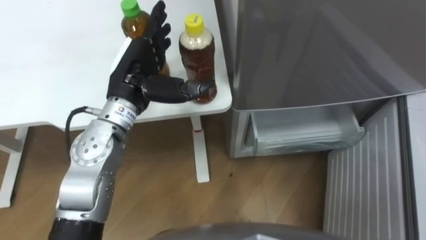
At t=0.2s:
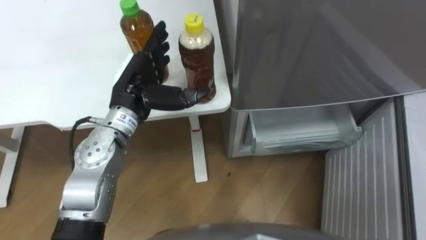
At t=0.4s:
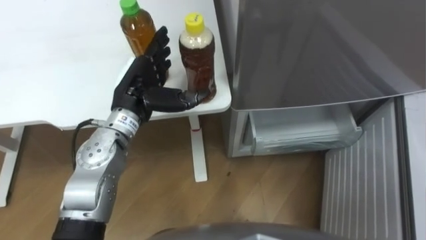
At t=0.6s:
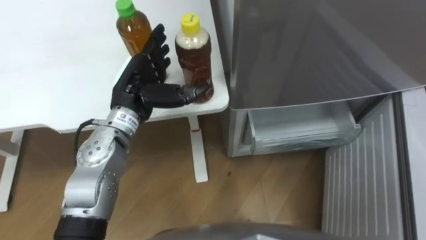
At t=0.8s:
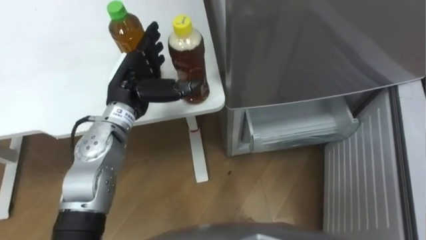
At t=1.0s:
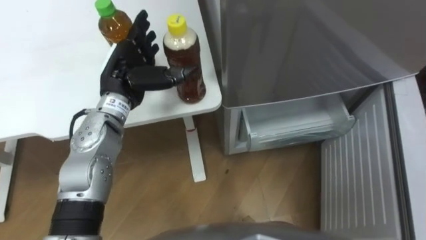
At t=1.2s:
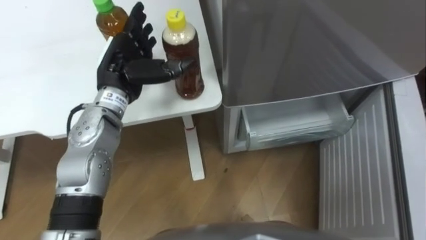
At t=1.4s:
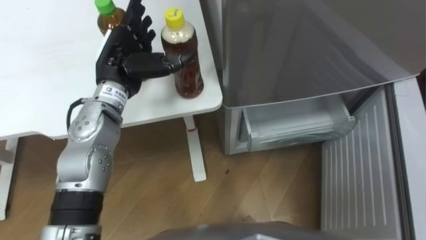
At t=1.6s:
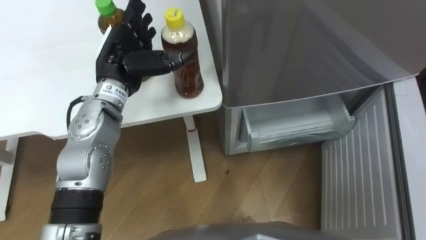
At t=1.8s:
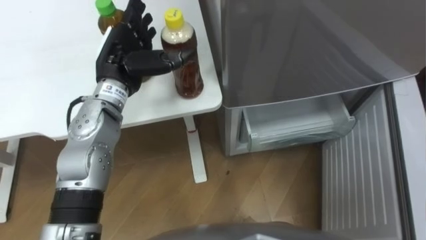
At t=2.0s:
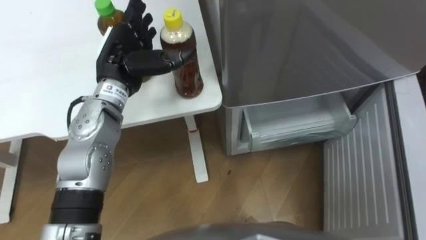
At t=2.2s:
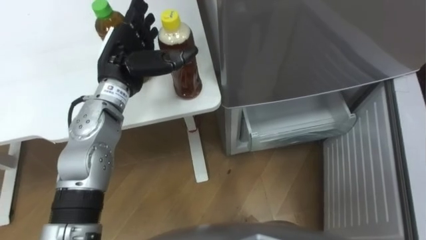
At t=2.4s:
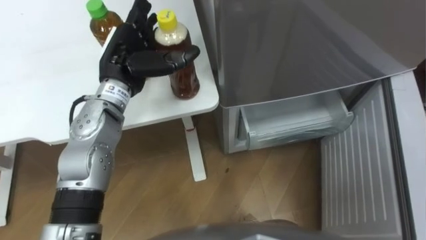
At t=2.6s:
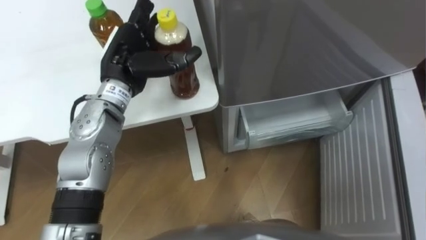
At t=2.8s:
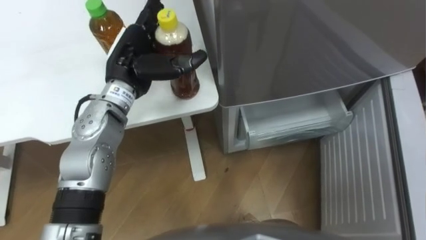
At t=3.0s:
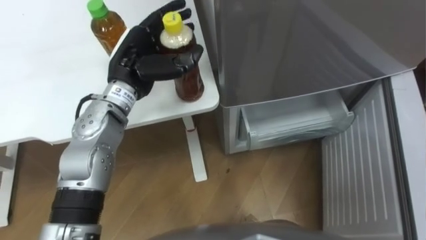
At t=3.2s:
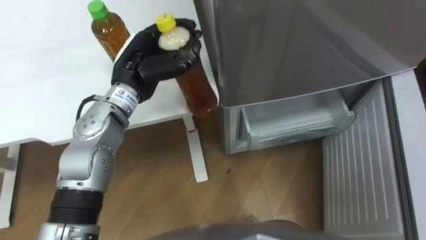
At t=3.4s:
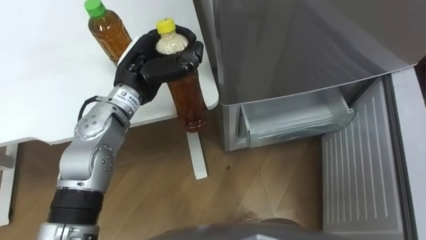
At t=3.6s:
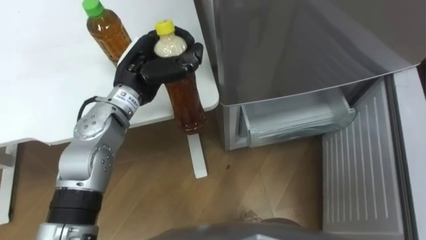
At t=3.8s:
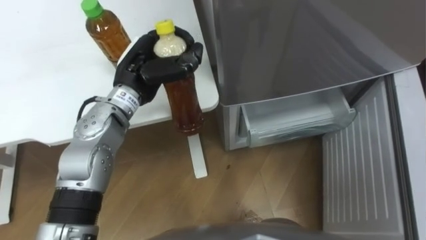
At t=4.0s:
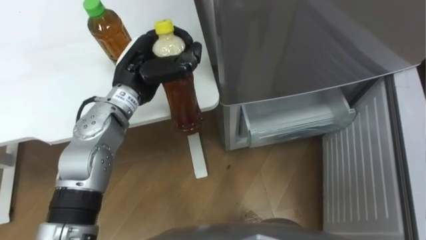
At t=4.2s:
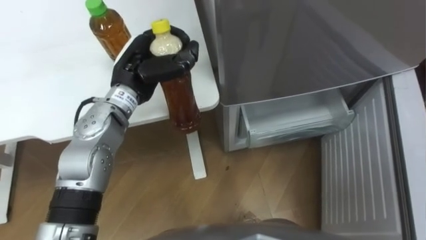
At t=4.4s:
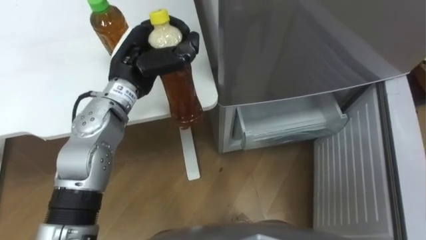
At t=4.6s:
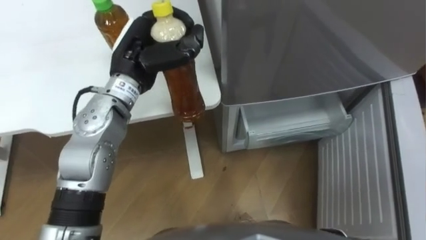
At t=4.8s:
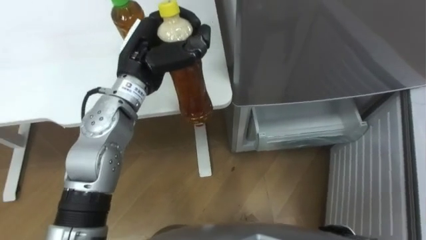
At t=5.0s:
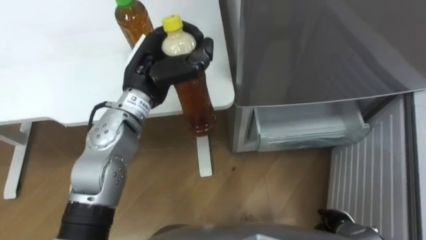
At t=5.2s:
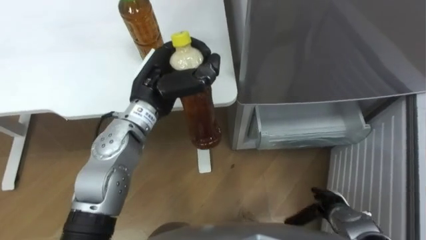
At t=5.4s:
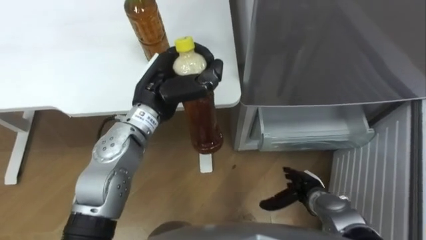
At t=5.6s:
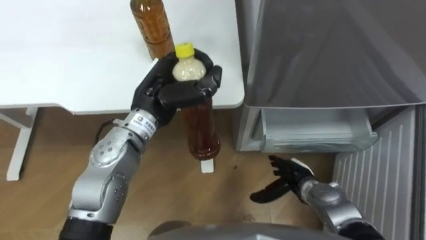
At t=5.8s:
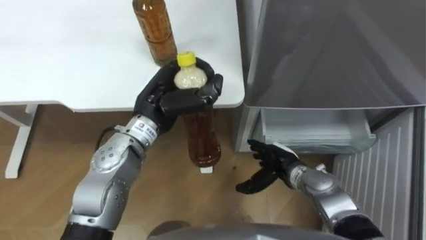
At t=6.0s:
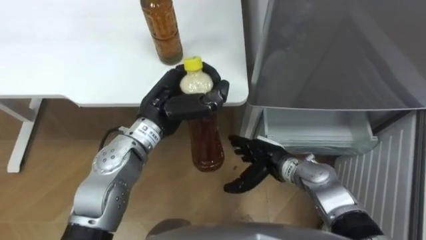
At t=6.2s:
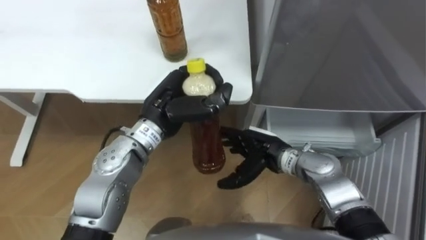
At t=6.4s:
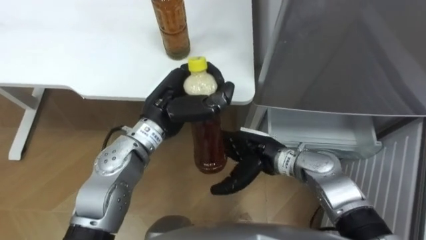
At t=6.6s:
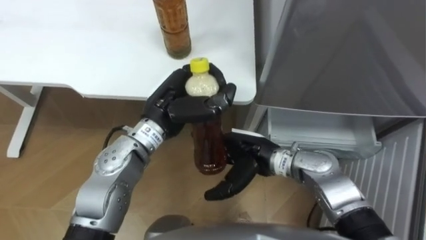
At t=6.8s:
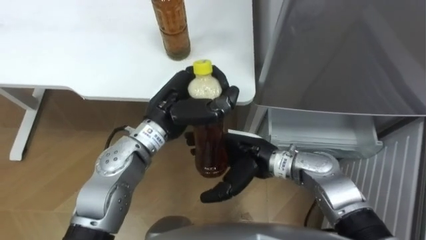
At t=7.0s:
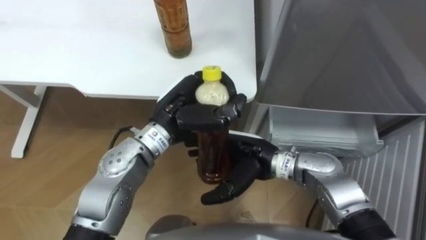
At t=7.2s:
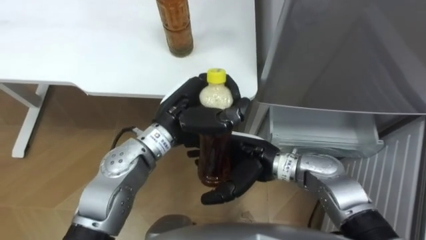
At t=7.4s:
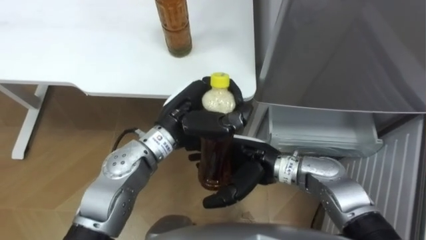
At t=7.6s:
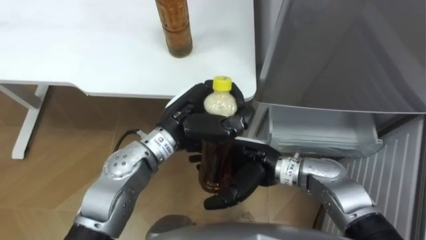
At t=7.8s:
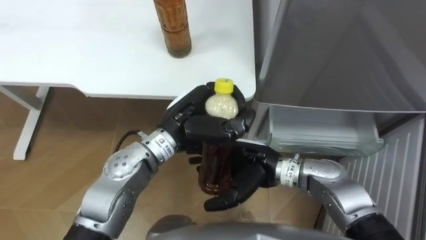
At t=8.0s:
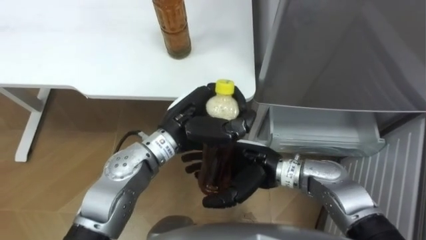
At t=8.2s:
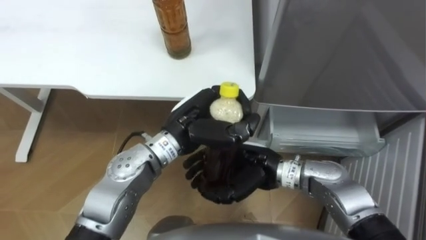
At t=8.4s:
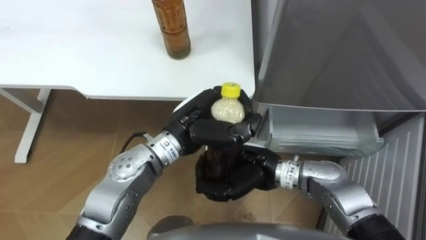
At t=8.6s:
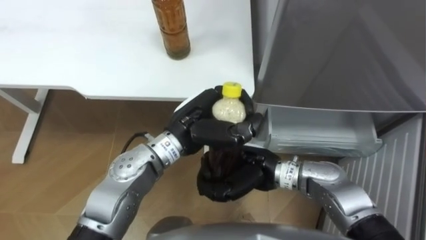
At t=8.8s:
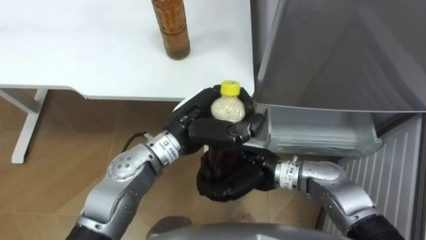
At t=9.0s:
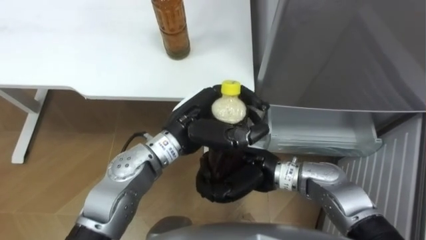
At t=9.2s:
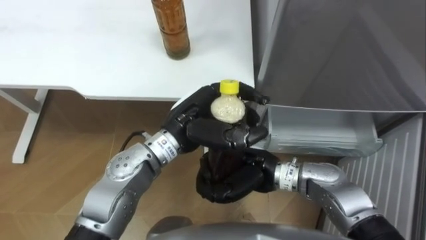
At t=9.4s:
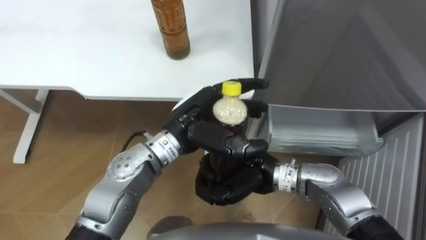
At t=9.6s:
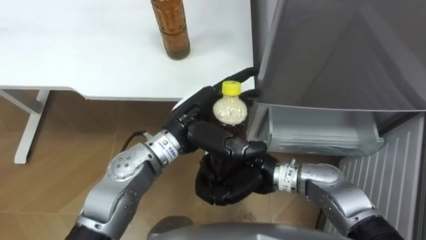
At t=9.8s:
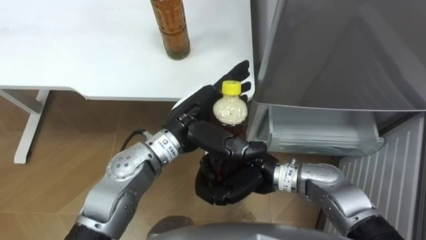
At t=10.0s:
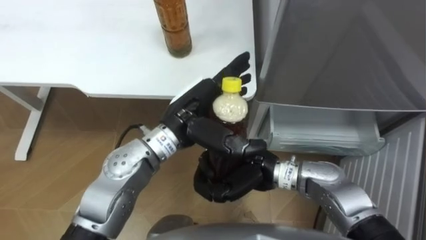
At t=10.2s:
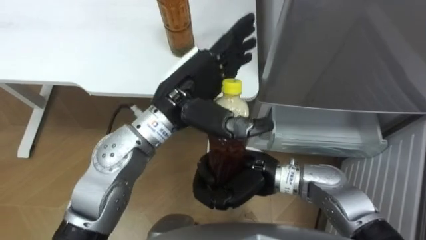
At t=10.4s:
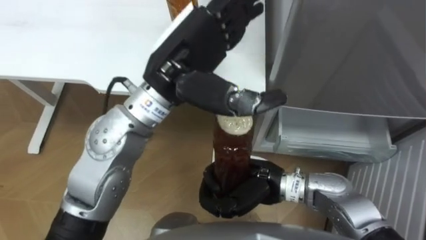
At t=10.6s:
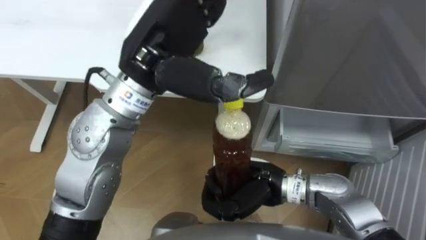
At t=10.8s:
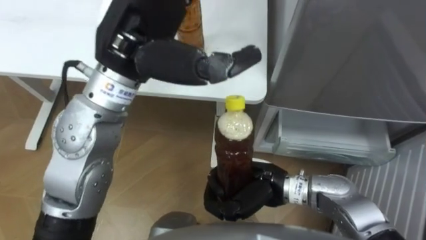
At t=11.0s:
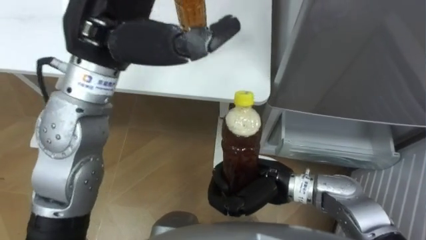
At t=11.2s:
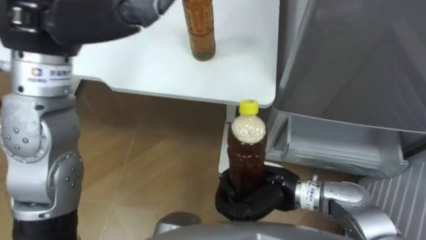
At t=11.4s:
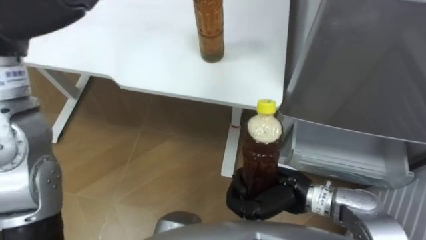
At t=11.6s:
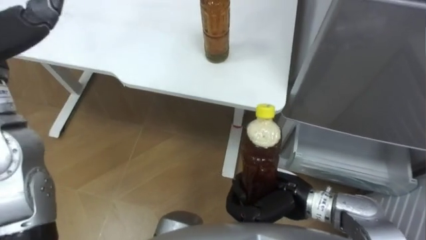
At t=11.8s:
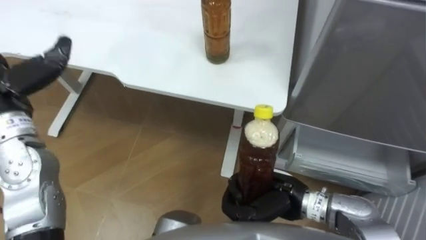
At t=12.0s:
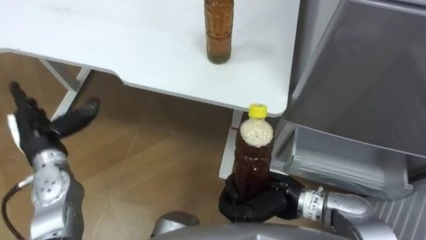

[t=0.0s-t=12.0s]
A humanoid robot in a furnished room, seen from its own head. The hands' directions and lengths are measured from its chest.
Task of the whole recording: Place the drink on the table on the bottom shelf of the refrigerator, then close the drawer and the refrigerator door.
t=3.0s to t=4.4s: The left hand closes up.
t=4.4s to t=6.0s: The left hand goes about 5 cm backward.
t=6.0s to t=7.6s: The right hand shifts roughly 10 cm upward and to the left.
t=7.6s to t=9.0s: The right hand closes up.
t=9.0s to t=10.4s: The left hand heads upward, covering about 15 cm, and opens.
t=10.4s to t=12.0s: The right hand shifts by some 5 cm.

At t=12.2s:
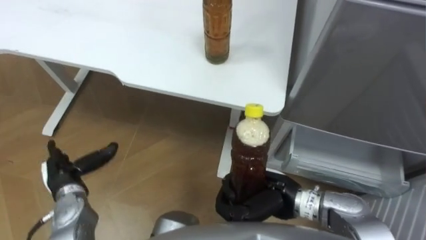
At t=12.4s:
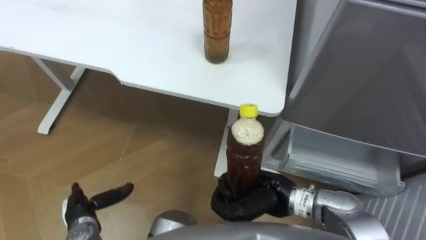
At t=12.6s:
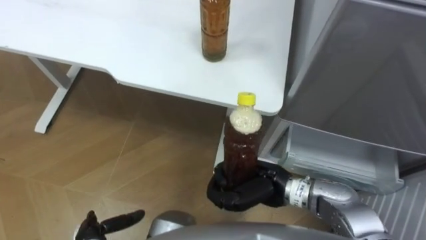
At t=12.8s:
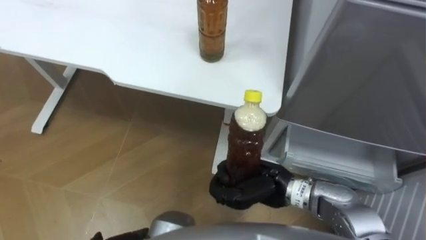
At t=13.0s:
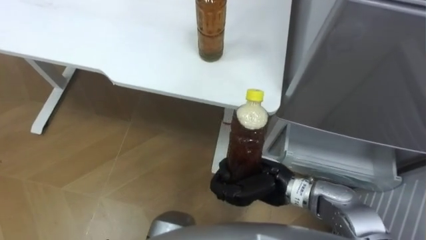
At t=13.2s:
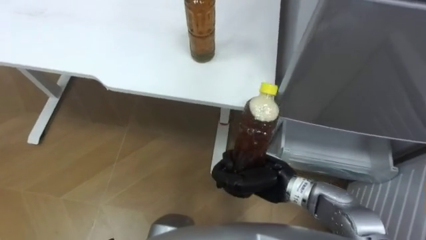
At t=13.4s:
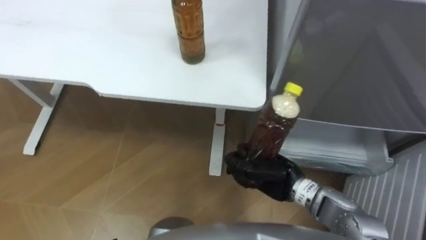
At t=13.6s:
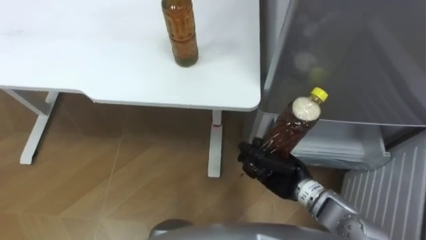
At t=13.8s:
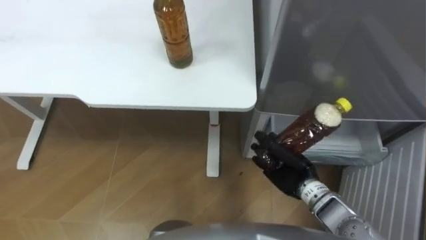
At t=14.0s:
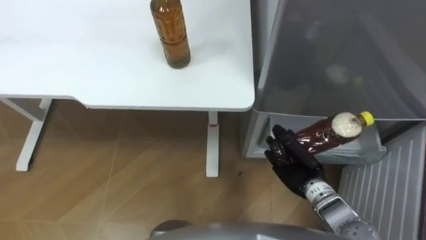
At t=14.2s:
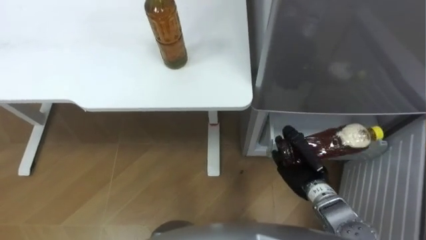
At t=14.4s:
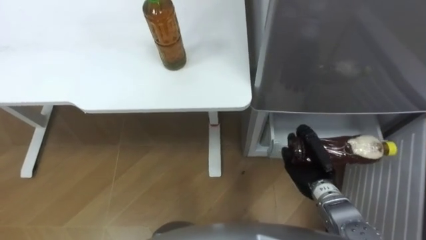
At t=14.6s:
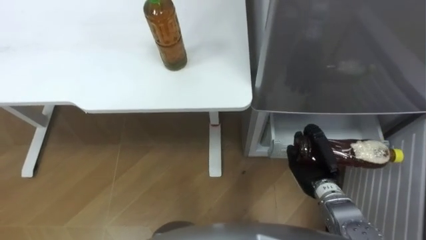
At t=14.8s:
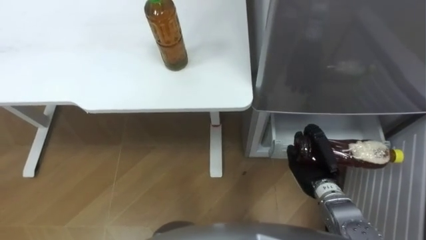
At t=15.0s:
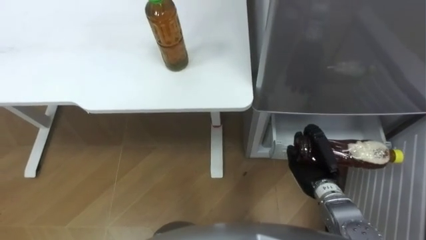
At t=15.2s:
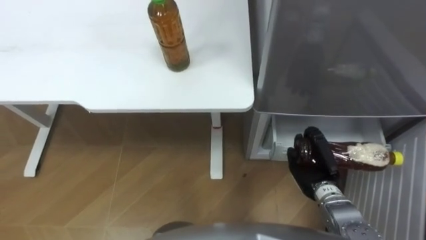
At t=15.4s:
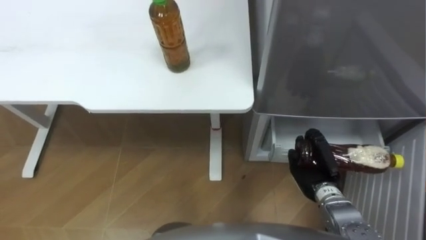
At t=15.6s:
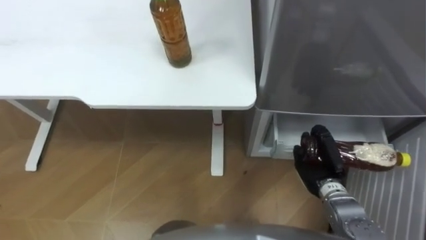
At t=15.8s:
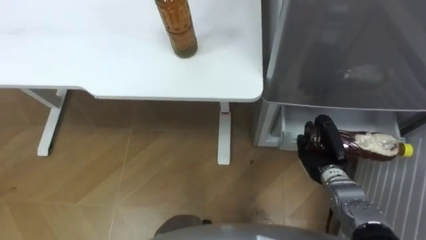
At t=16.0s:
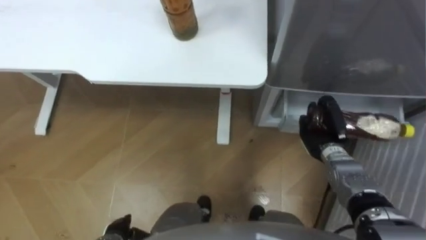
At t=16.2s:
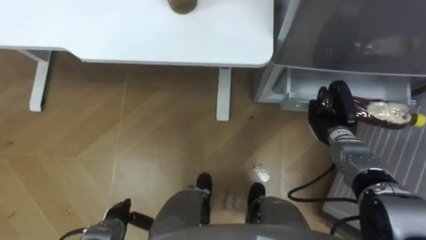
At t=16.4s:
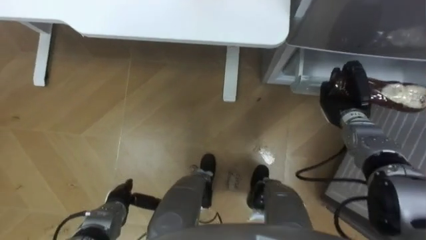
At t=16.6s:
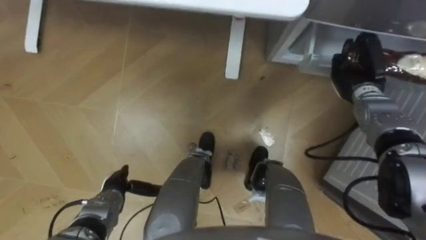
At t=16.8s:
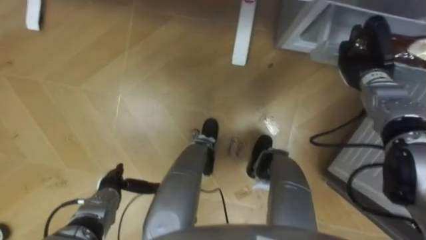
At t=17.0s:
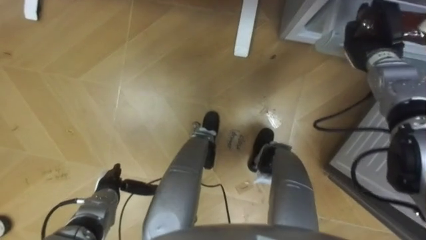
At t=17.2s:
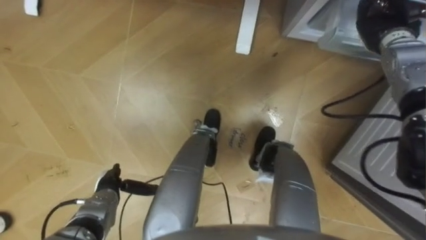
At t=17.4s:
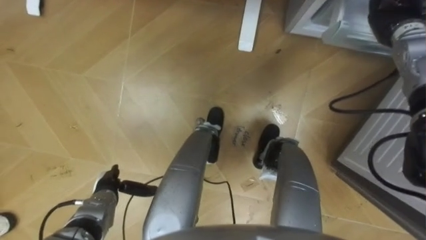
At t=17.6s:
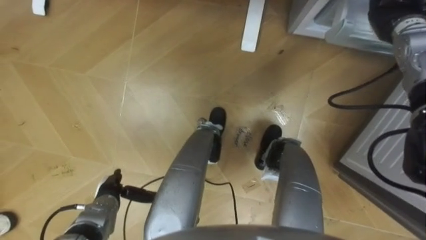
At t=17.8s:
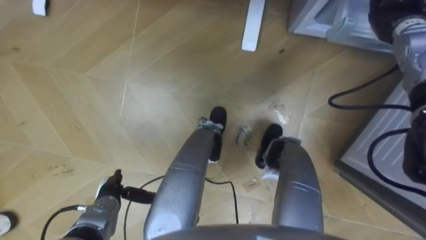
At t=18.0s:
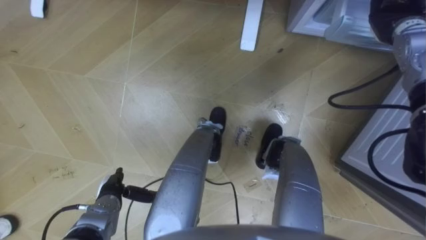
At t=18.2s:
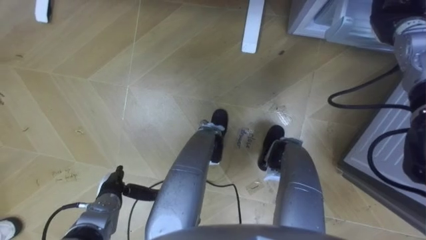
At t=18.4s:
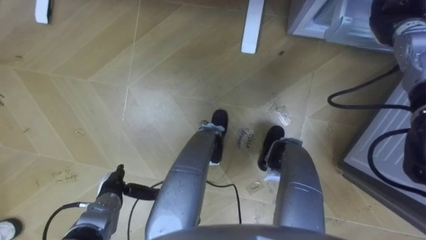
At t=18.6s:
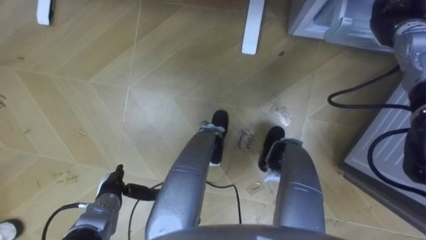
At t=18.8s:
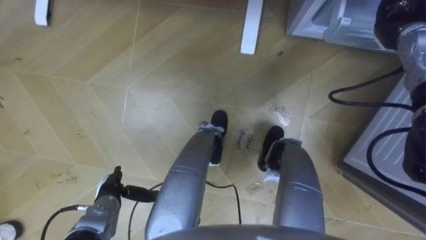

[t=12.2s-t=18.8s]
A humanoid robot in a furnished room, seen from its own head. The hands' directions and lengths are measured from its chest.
Task of the whole recording: Place the drink on the table on the bottom shelf of the refrigerator, then close the drawer and the refrigerator door.
t=12.2s to t=13.8s: The right hand heads to the right, covering roughly 5 cm.
t=13.8s to t=15.4s: The right hand is displaced to the right by some 5 cm.
t=15.4s to t=17.2s: The right hand goes roughly 30 cm forward and upward.
